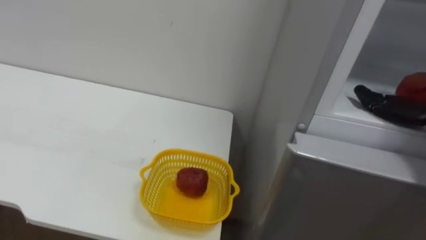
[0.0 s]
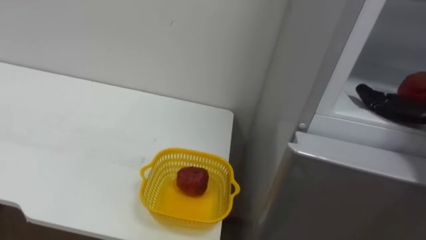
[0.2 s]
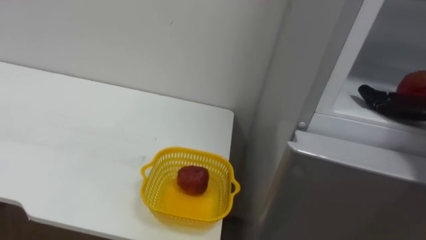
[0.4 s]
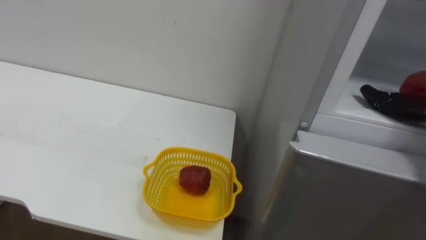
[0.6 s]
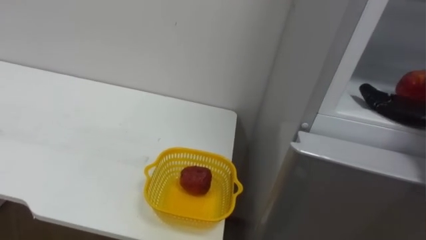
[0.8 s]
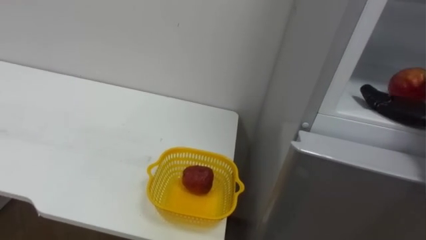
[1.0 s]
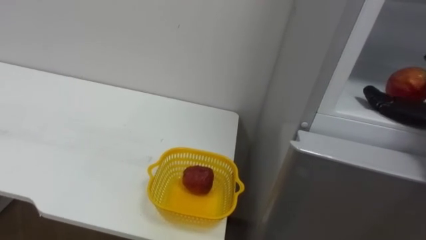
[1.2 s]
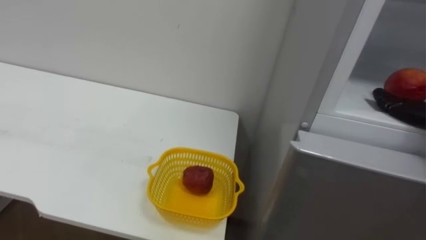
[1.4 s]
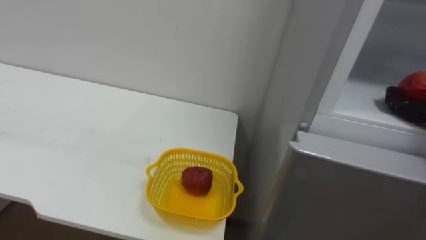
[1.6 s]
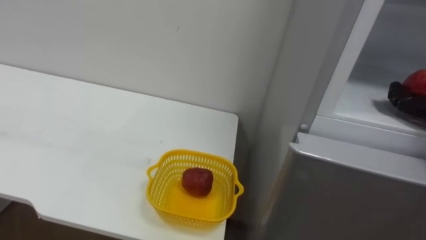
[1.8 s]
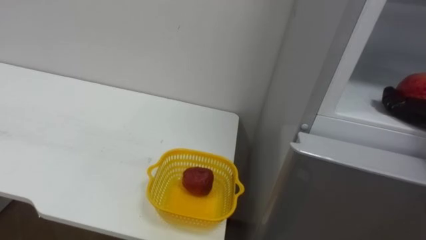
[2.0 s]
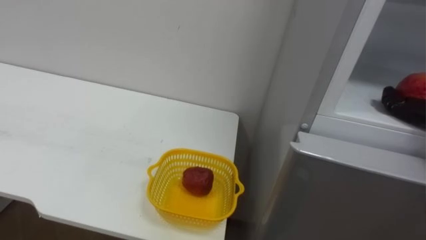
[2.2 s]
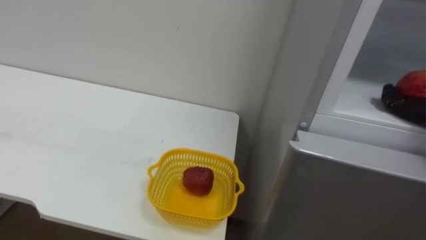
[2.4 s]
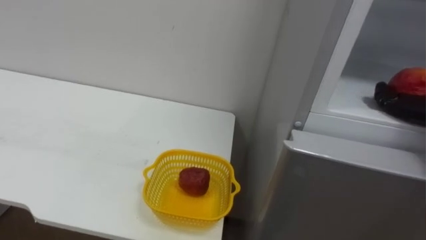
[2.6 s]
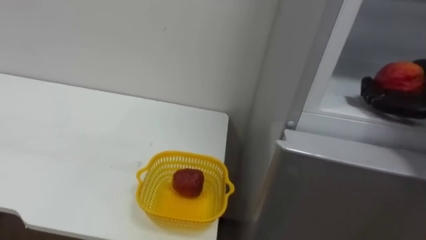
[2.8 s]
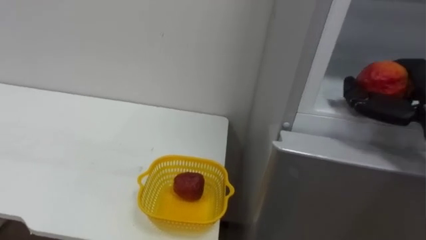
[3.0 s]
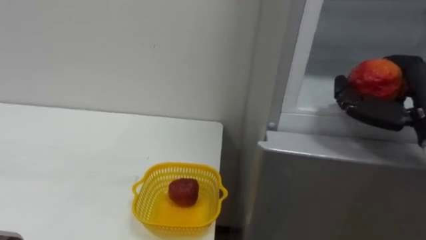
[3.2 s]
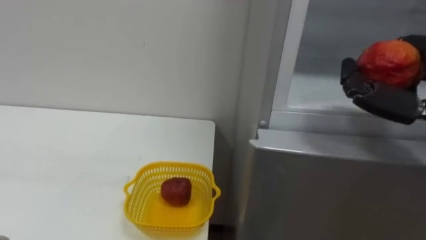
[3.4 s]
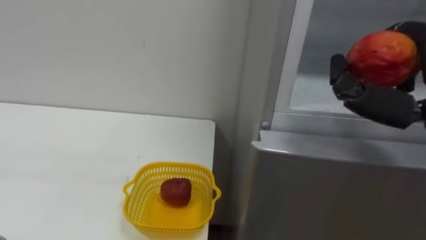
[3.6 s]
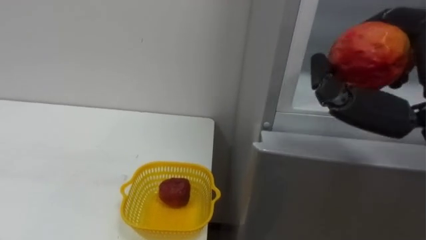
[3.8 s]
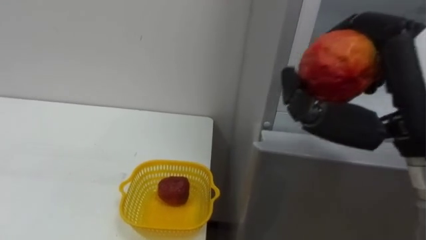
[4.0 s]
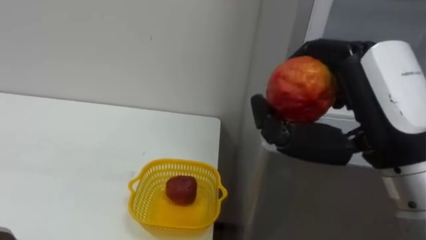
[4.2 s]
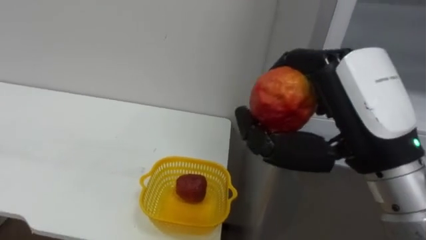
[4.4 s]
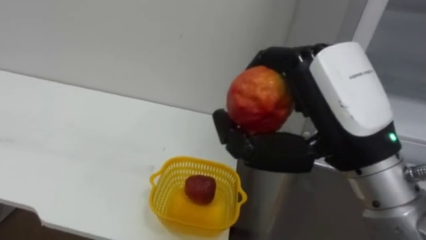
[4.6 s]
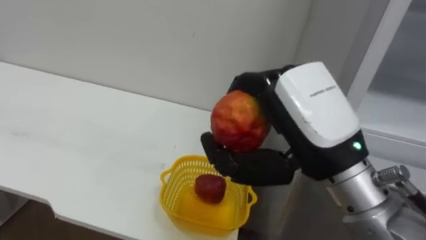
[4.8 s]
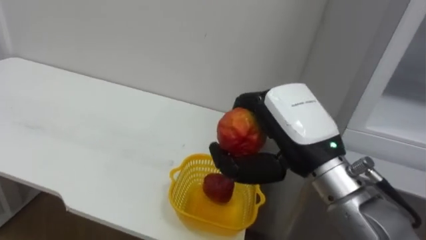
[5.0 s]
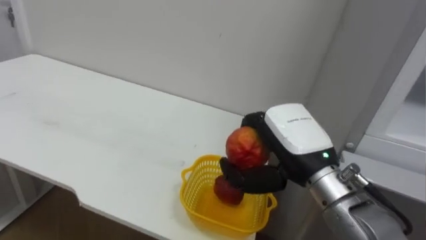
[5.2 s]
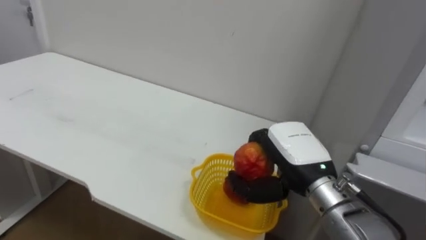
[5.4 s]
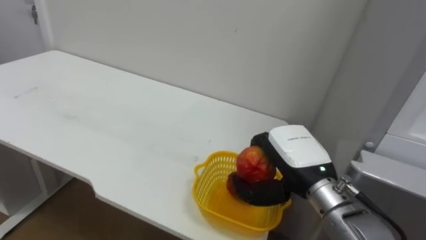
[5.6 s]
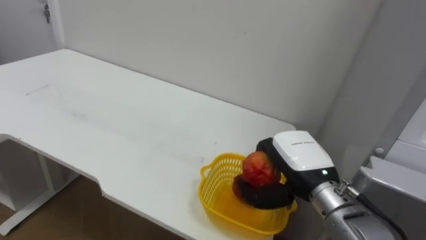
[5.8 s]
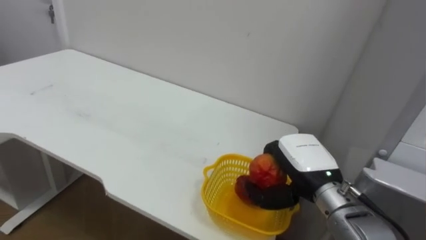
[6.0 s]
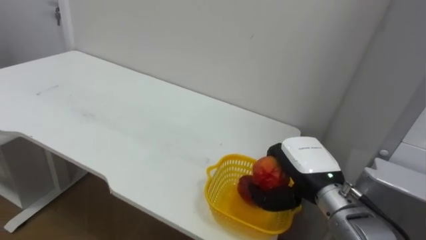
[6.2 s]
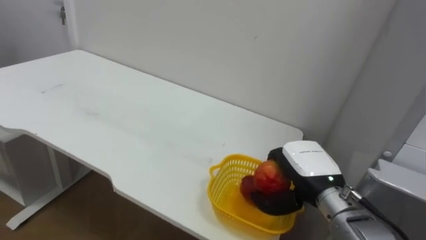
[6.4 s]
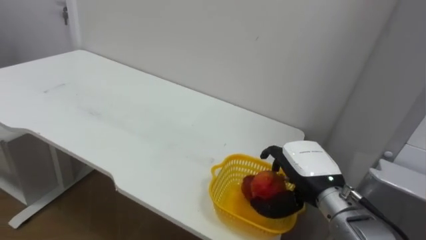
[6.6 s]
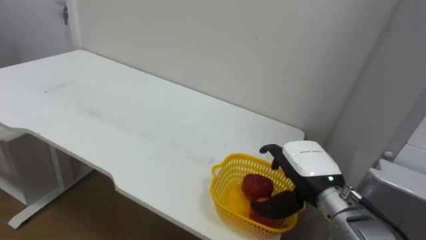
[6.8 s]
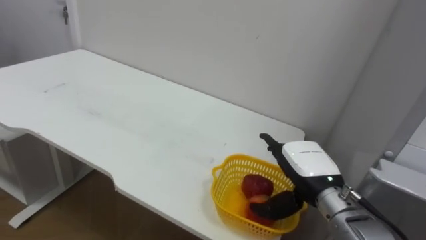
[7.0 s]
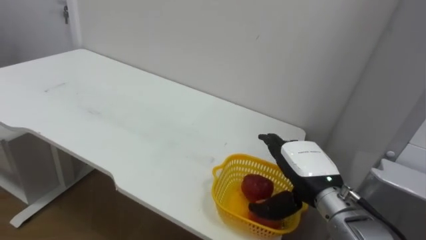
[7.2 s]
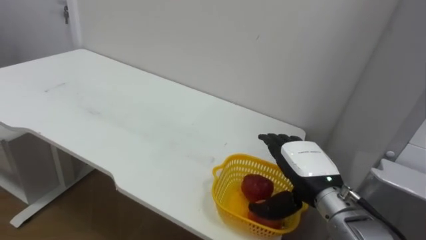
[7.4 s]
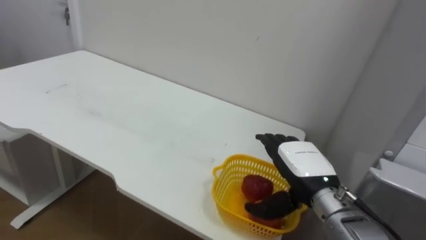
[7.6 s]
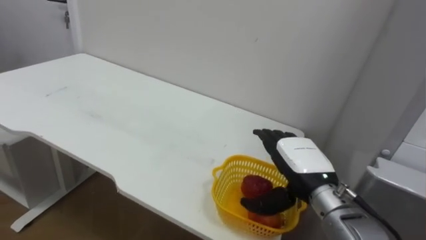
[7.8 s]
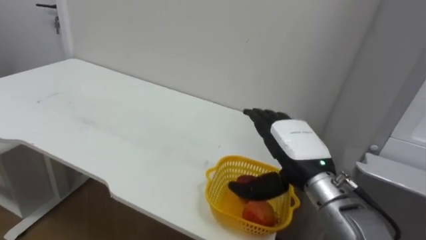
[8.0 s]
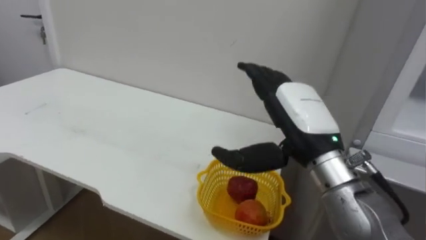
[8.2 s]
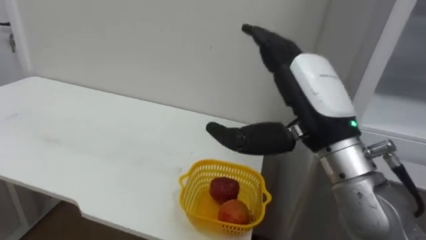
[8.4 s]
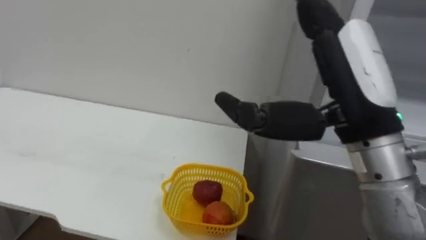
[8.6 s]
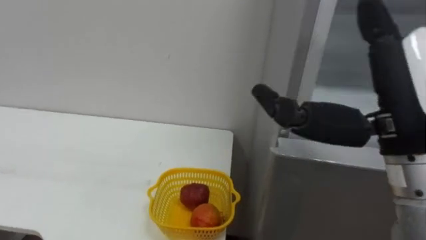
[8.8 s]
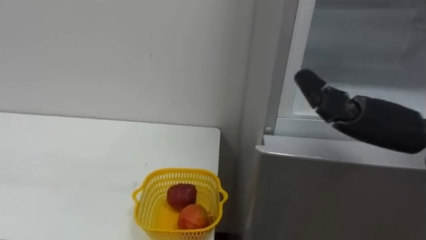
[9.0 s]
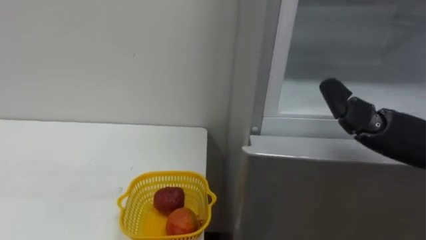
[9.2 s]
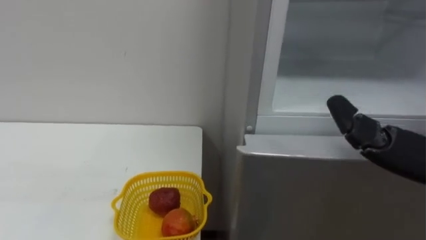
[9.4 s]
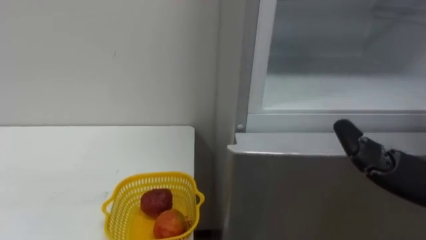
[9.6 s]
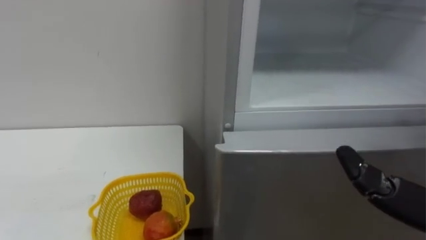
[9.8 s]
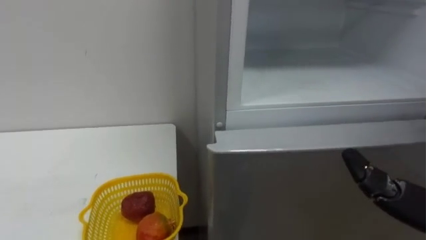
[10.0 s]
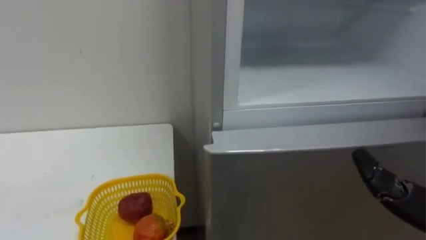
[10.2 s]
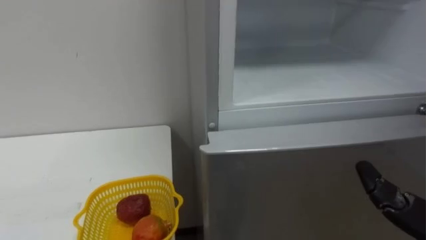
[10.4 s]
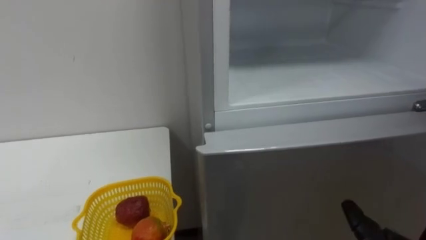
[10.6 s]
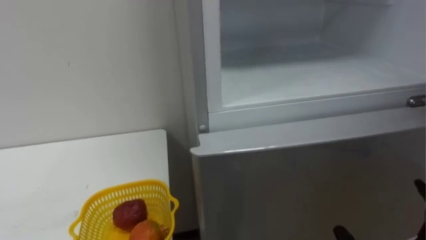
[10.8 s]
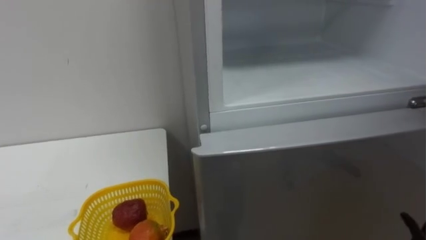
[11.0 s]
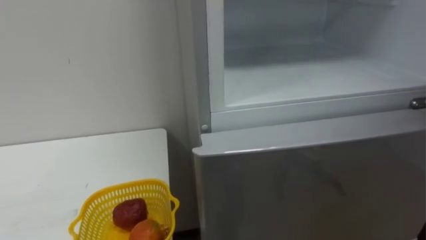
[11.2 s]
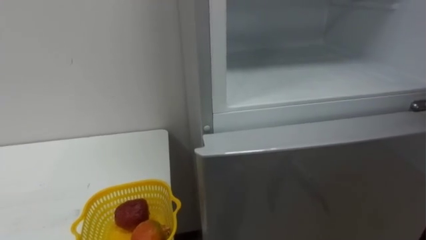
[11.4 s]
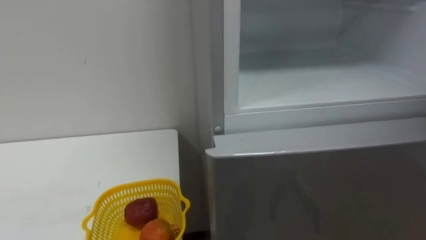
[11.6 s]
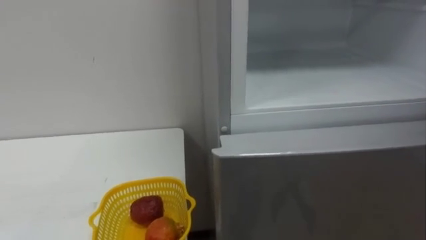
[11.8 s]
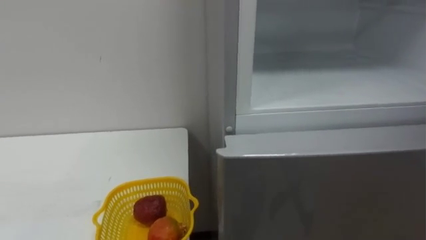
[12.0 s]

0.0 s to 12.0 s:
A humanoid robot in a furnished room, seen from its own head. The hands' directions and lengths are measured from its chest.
Task of the whole recording: Open the refrigerator door, take out the apple and the pomegranate, place them in the fruit basket on the left, and close the refrigerator door.
4.4 to 6.0 s: The right hand is displaced downward and forward by roughly 20 cm.
6.0 to 7.6 s: The right hand opens its fingers.

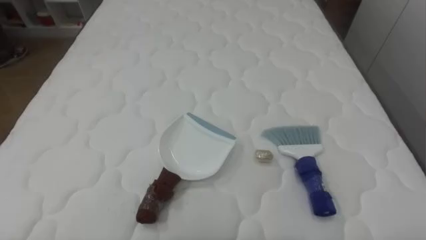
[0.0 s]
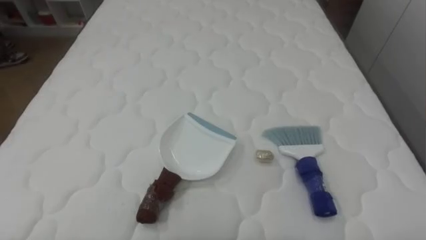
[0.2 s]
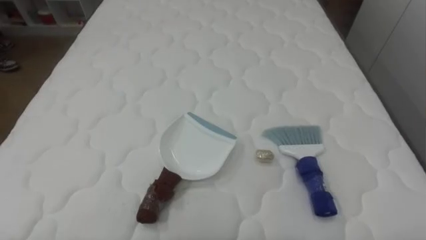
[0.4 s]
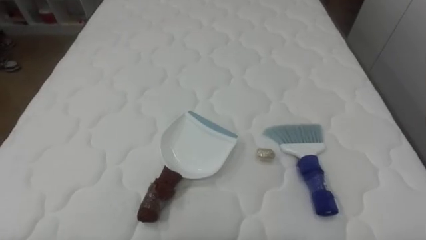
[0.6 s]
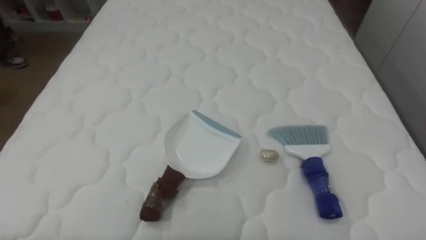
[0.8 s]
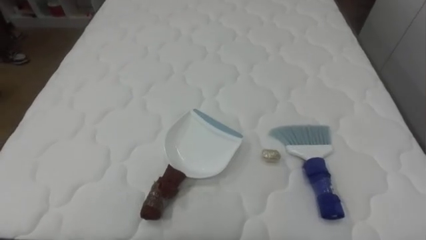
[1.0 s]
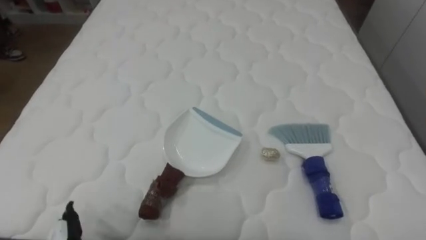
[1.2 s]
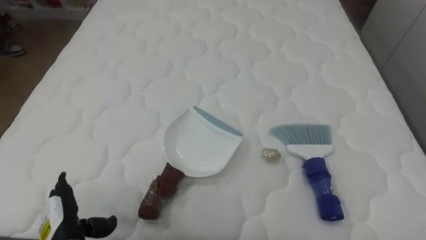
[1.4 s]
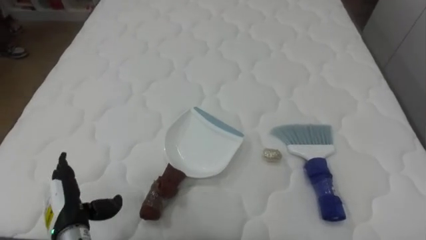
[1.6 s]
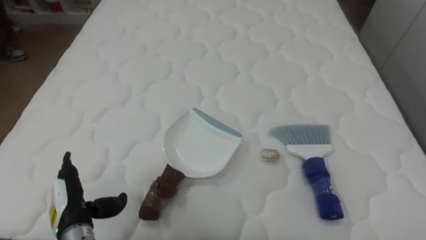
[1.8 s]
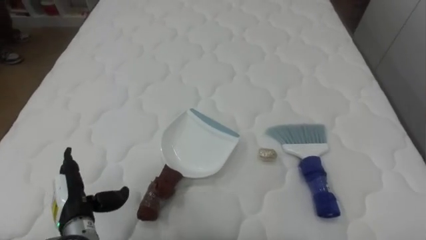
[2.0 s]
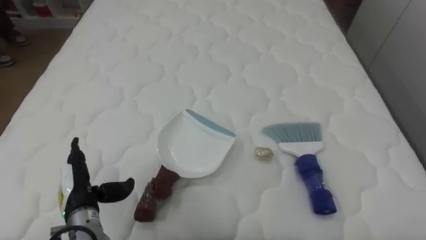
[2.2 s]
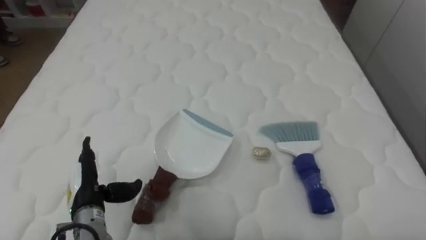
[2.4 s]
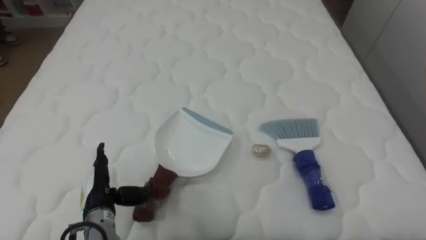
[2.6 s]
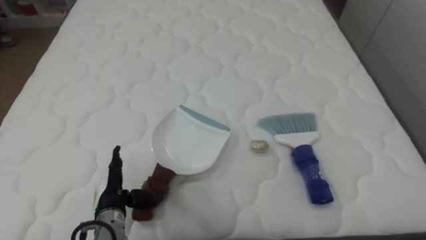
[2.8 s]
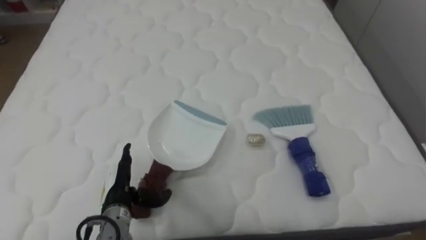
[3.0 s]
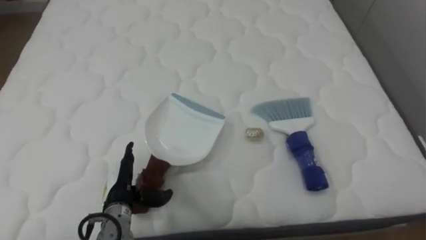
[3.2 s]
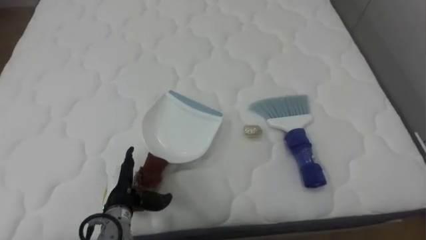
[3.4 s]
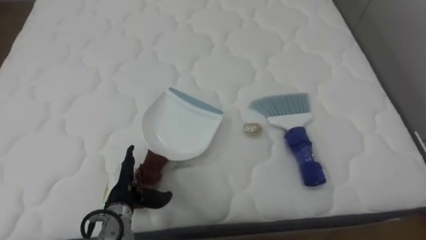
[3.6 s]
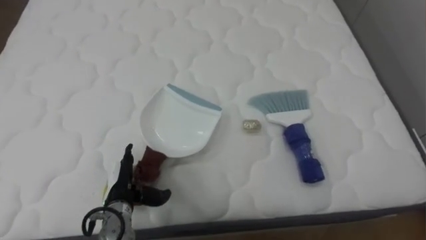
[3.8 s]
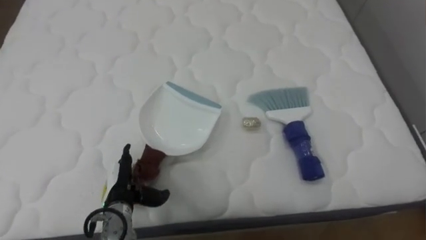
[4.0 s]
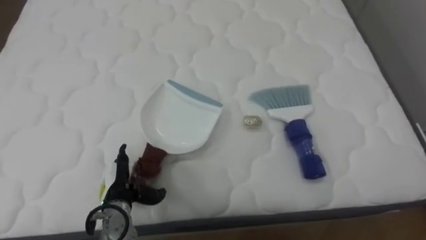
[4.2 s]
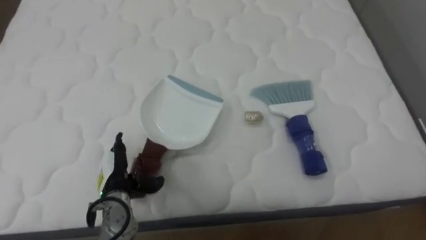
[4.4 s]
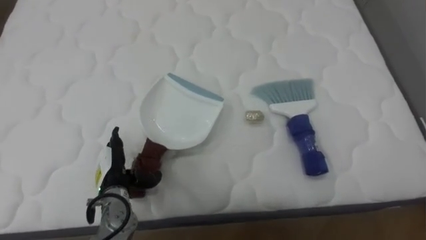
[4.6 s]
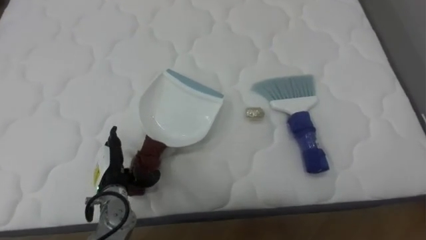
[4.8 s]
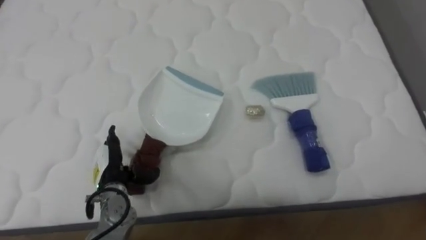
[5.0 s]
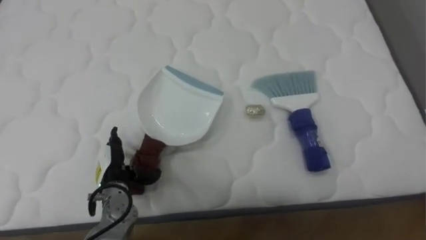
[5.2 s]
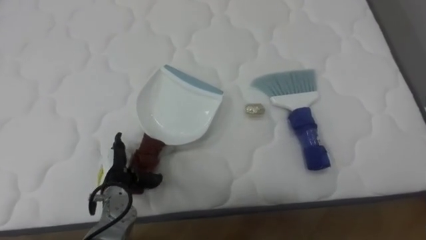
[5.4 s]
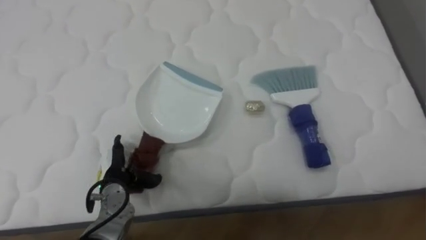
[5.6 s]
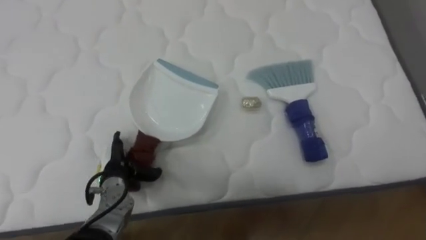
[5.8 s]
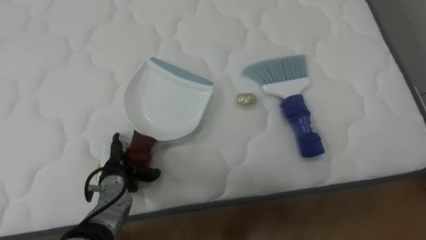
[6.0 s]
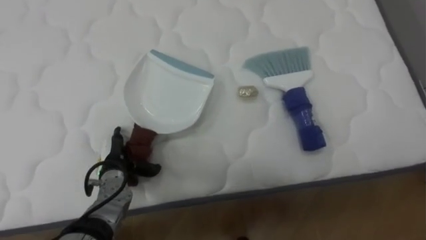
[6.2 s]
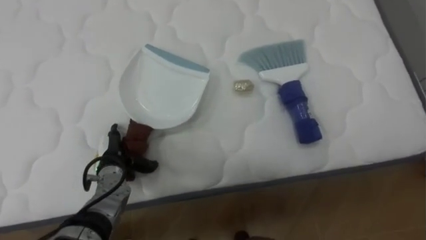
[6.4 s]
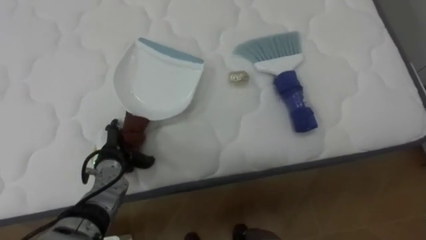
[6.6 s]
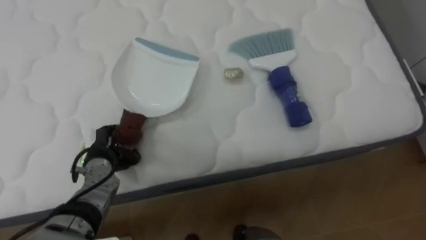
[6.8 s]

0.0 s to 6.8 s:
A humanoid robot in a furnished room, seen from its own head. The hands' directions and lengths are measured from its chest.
Task of the whole recording: Pick up the brush on your right and the dustpan on your left. Use the brush to sweep the crumpled paper on the bed into the dustpan, then turn left and empty it into the basket.
1.4 to 2.8 s: The left hand travels to the right and forward by about 10 cm.
5.4 to 6.8 s: The left hand moves about 5 cm.
